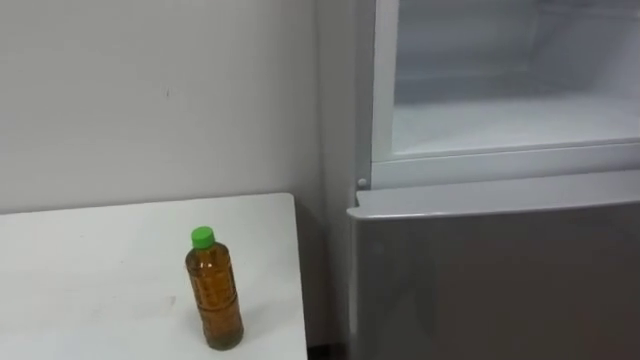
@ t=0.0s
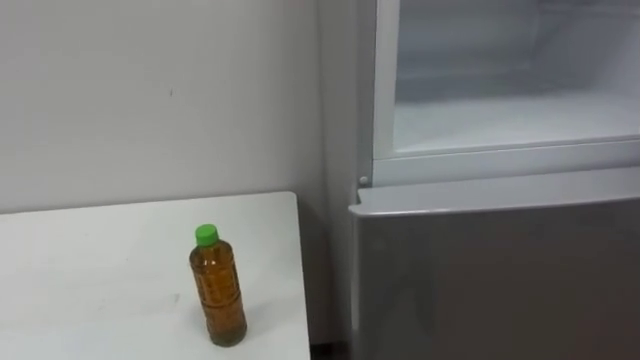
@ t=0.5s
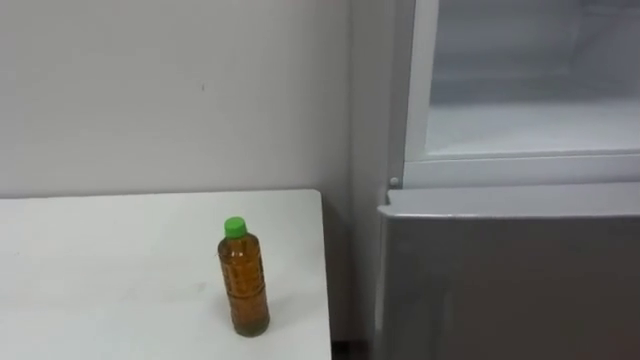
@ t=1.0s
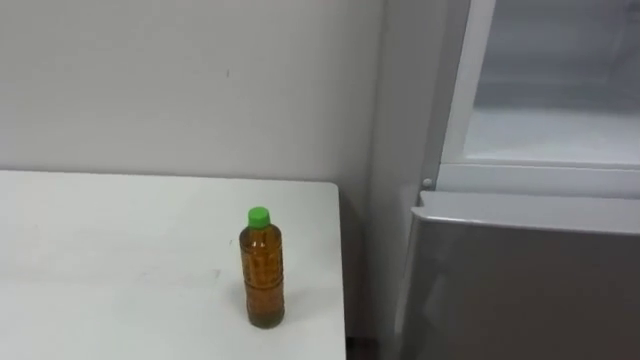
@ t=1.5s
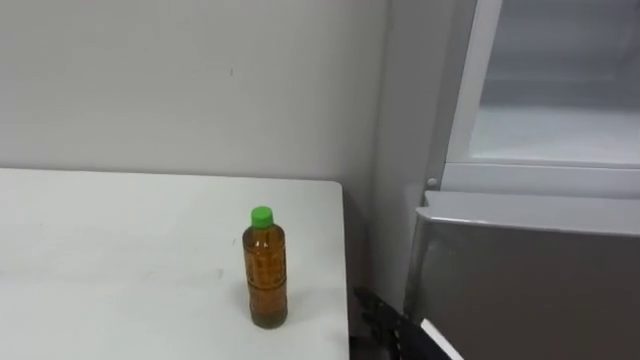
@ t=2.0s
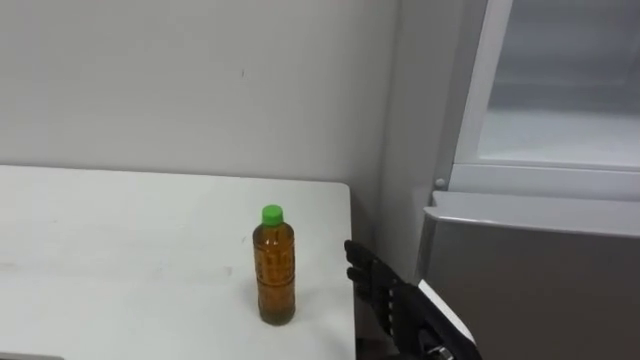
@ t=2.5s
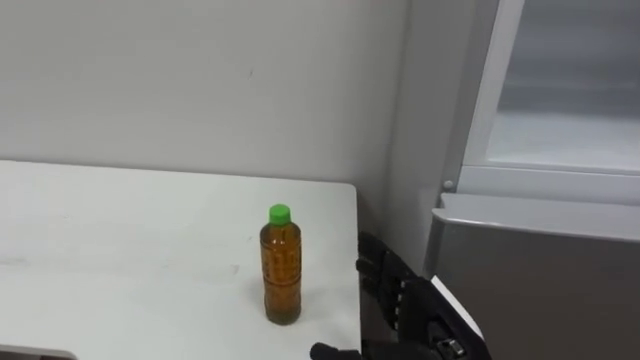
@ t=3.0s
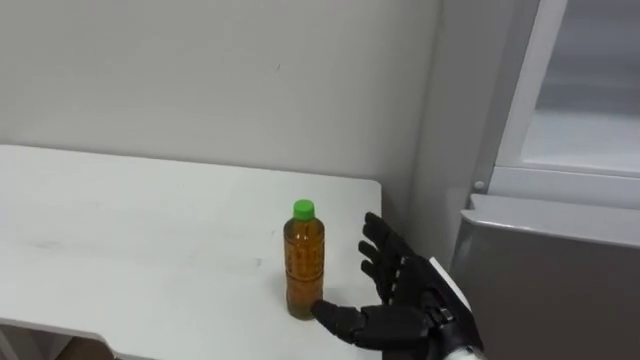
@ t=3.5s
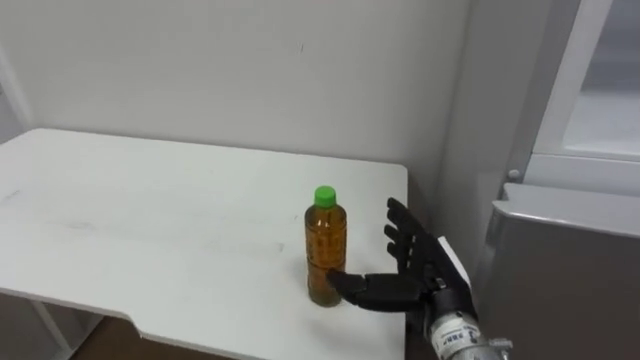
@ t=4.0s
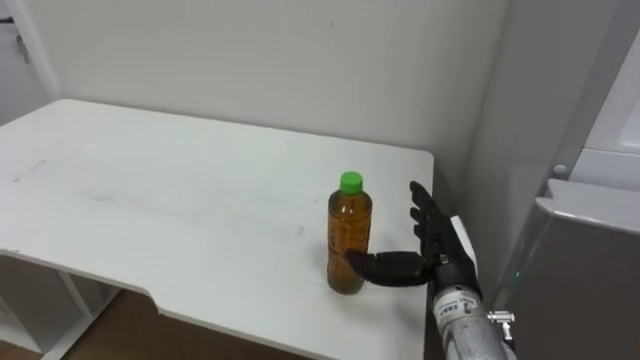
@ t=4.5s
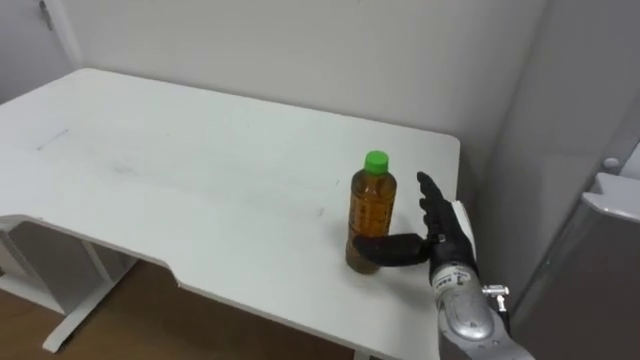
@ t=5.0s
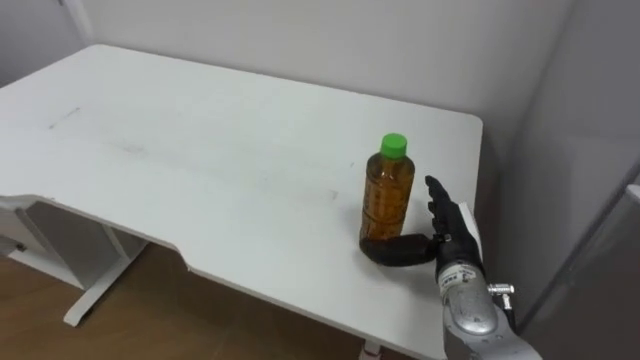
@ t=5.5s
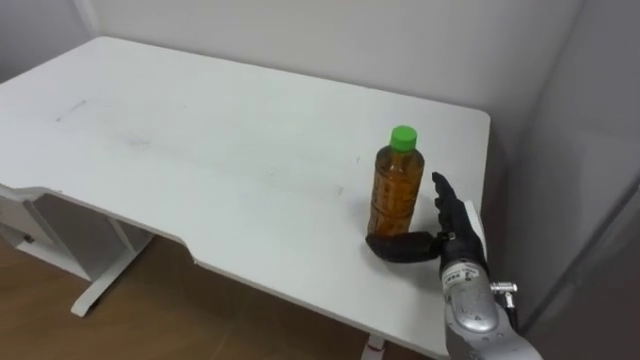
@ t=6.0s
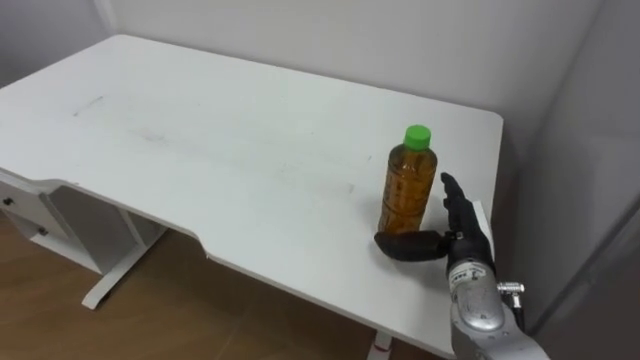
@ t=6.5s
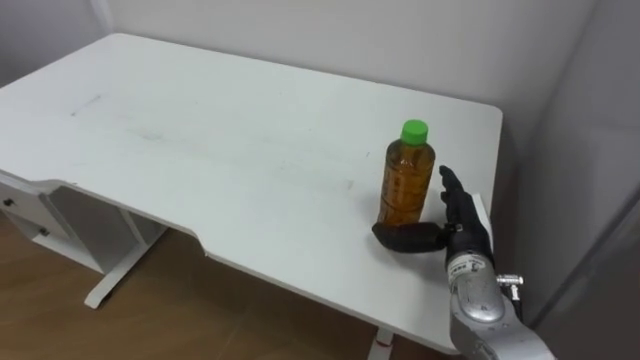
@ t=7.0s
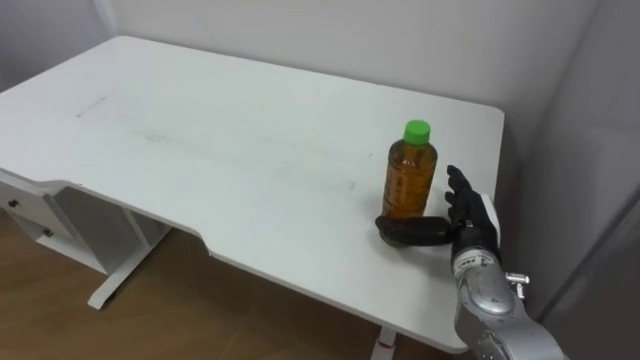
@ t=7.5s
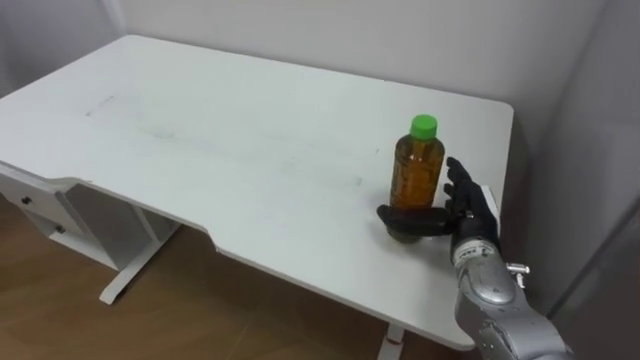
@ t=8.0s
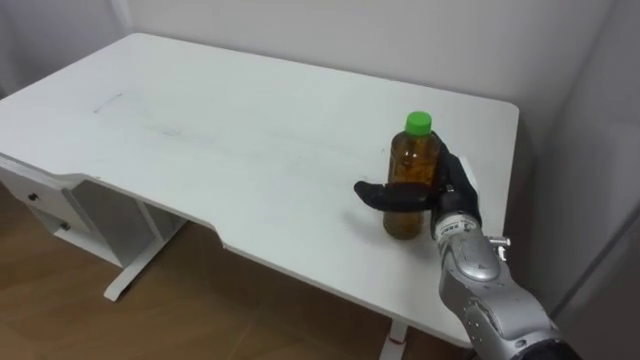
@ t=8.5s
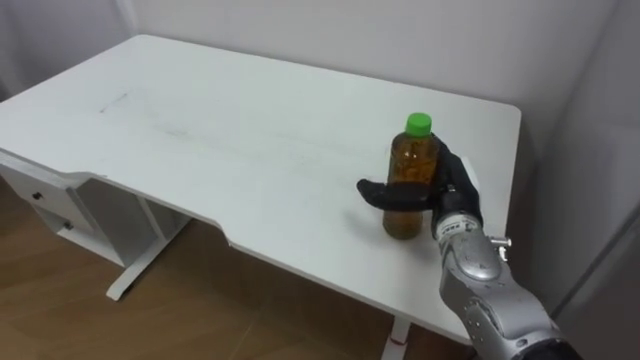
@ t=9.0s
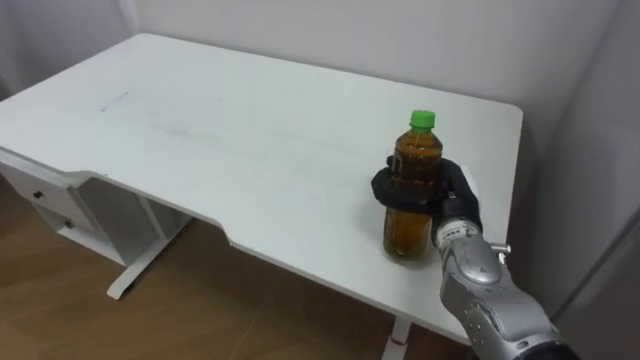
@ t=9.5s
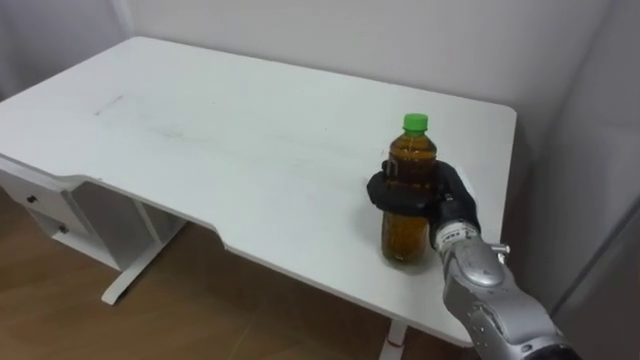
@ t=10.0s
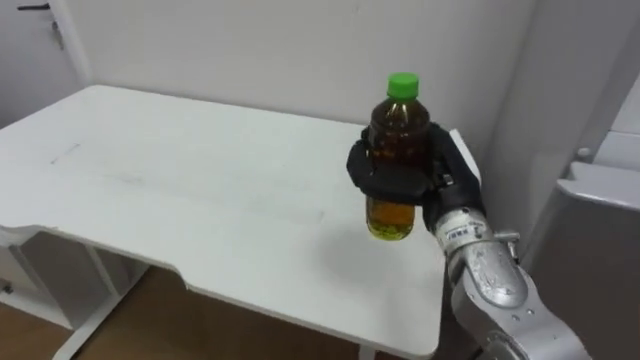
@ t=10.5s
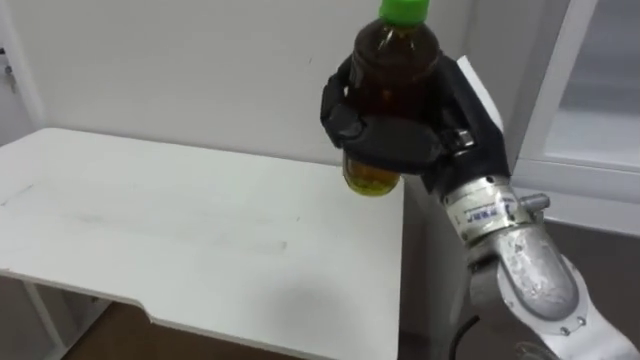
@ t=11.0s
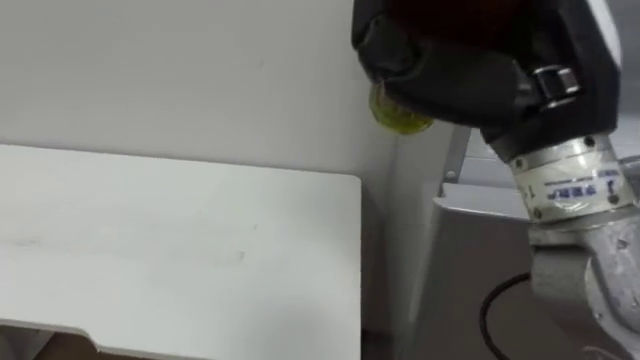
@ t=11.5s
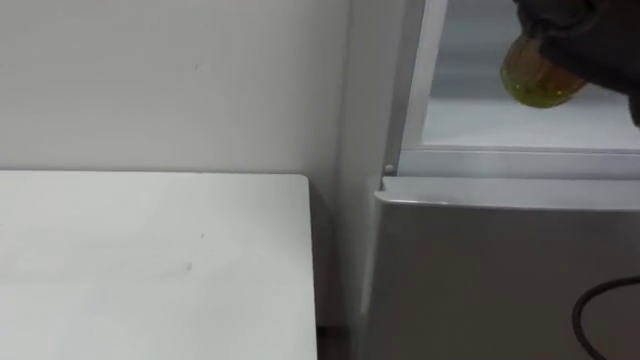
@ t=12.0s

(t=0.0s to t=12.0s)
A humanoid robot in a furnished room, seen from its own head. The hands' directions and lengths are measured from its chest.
Task of the whole recording: Open the upper refrigerator door, put the drink from the table into the refrigerator, and then close the refrigerator door.
t=4.0s - t=6.0s: The right hand shifts roughly 5 cm forward.
t=8.0s - t=10.0s: The right hand closes its fingers.

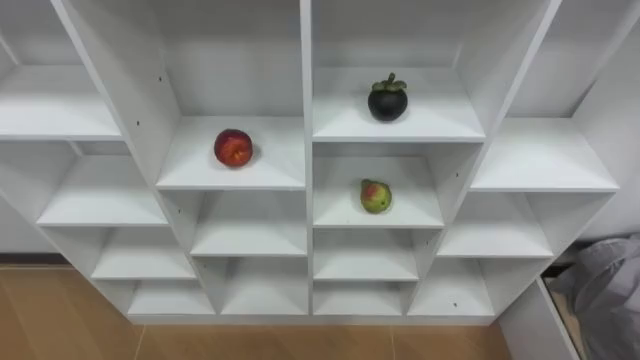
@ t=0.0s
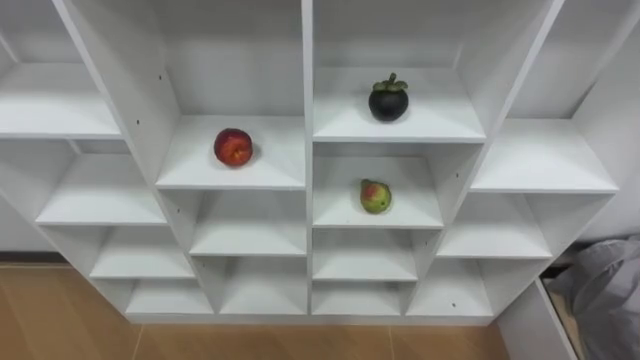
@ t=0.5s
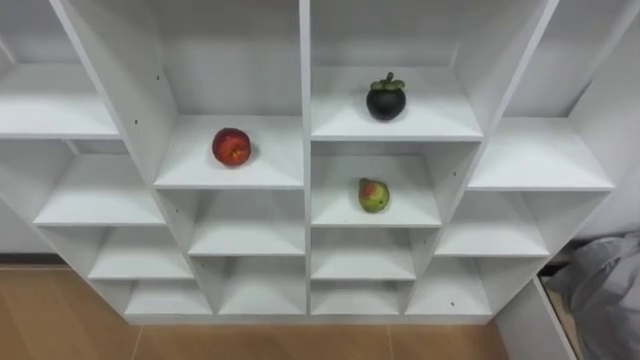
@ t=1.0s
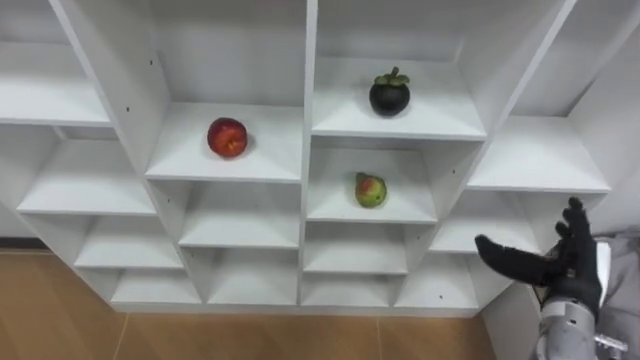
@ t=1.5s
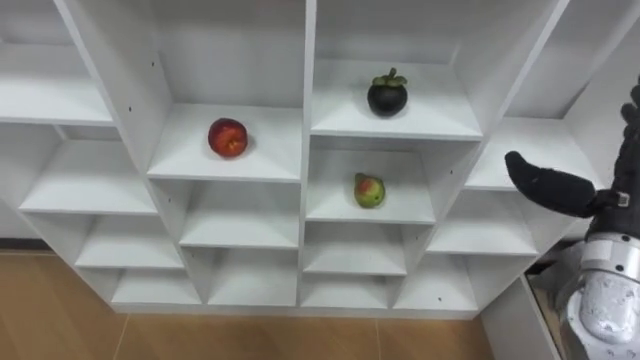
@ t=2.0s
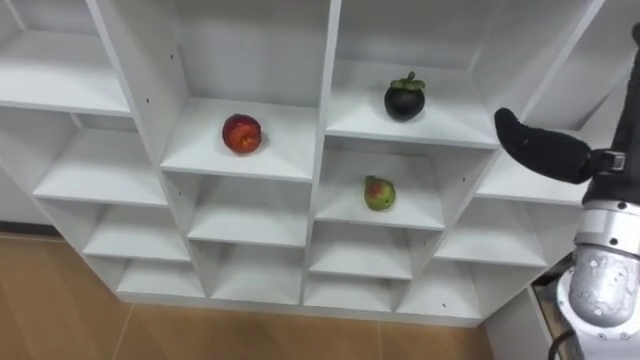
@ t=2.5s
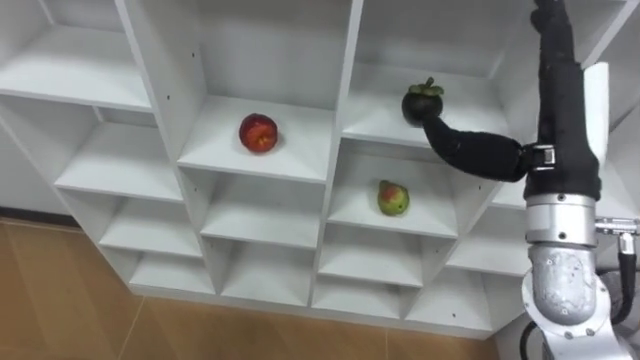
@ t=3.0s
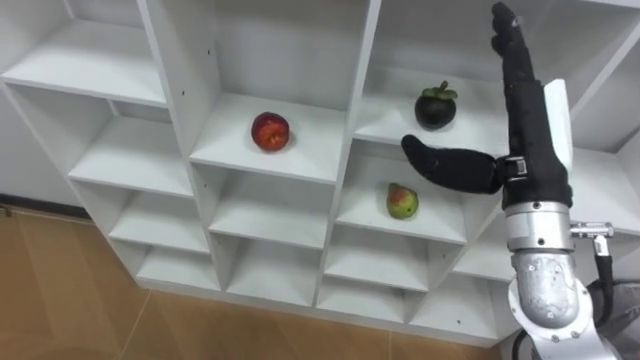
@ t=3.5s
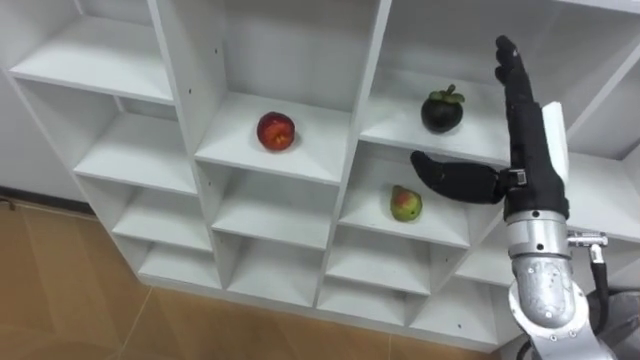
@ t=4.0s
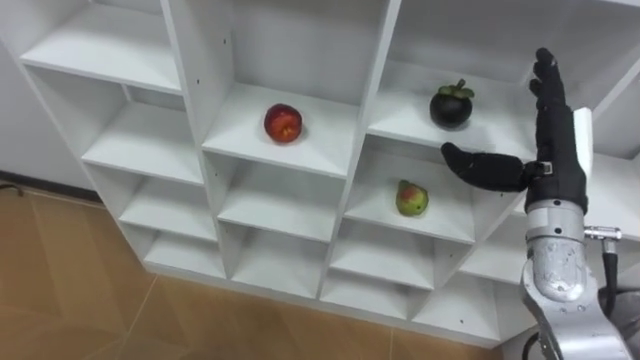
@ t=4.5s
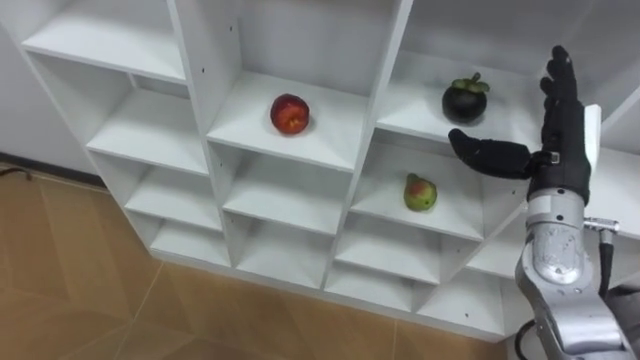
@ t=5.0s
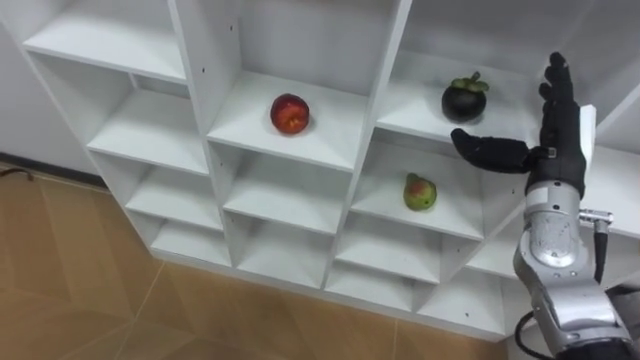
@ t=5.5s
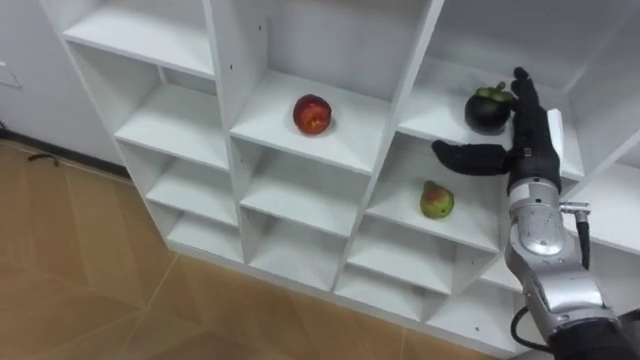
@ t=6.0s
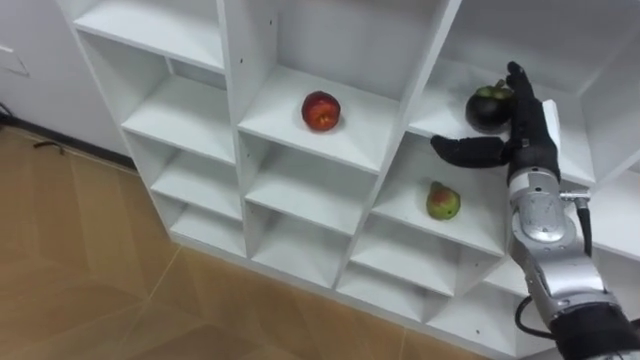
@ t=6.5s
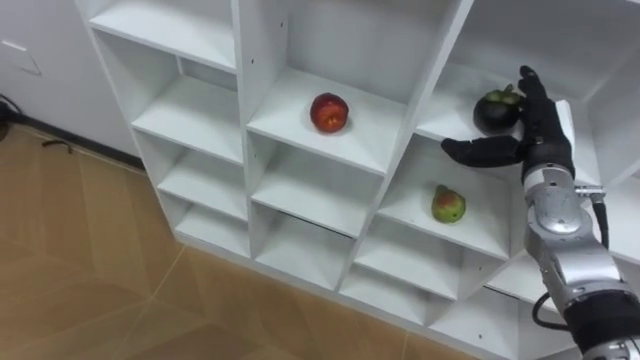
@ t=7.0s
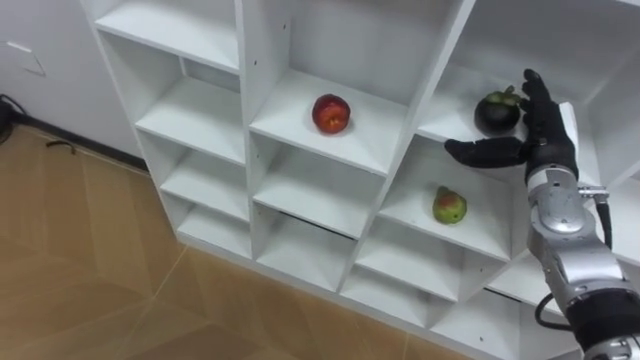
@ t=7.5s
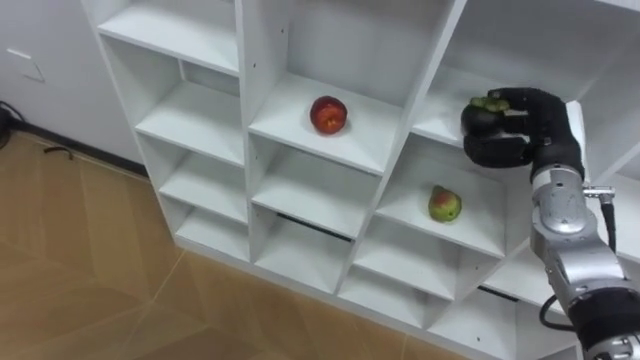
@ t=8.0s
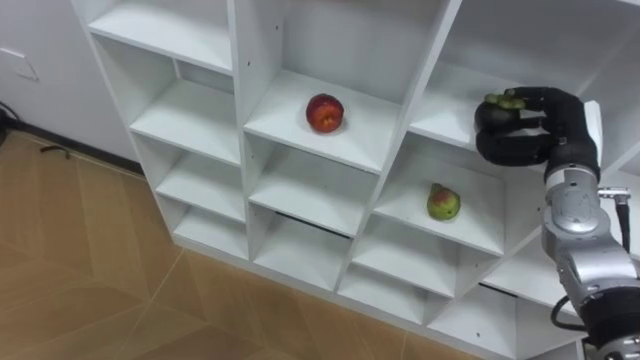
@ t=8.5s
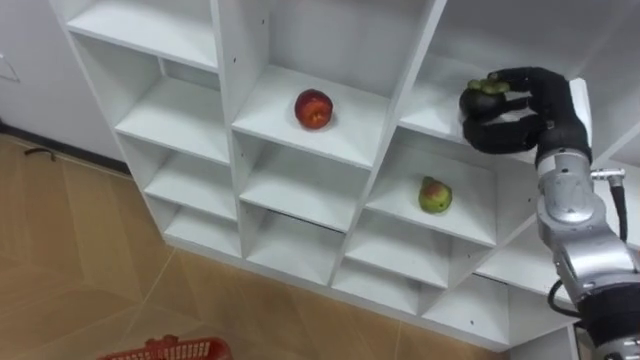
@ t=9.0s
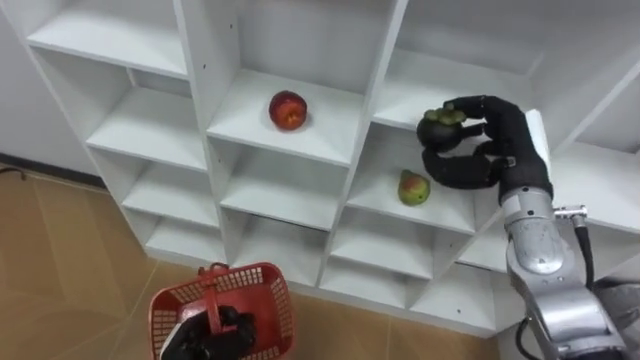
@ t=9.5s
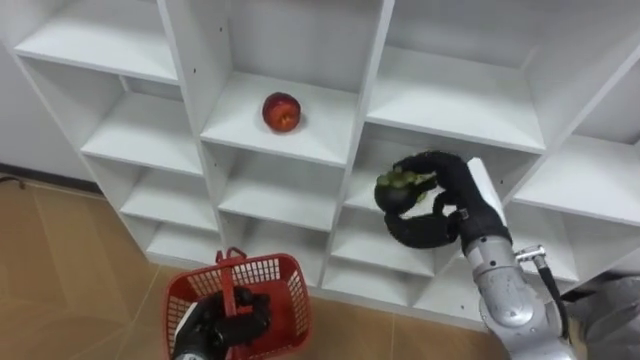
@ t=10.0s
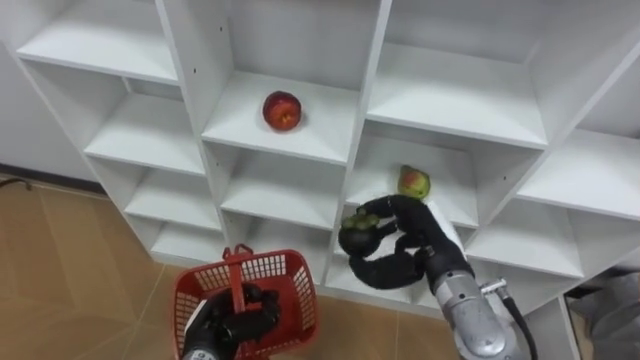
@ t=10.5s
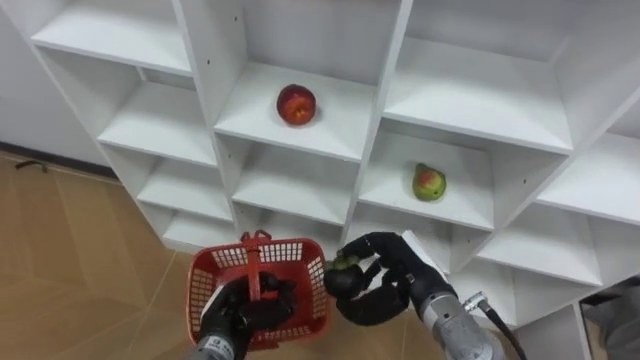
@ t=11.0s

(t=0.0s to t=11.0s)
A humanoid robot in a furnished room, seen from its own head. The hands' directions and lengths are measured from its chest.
Task of the whole recording: Hold the basket and collect the fruits from 3 different cells of the closet into it.
t=2.0s - t=3.5s: The right hand is displaced to the left and upward by some 10 cm.
t=3.5s - t=5.5s: The right hand moves downward, to the right and forward, roughly 10 cm.
t=7.5s - t=9.0s: The right hand closes its fingers.
t=9.0s - t=11.0s: The right hand heads to the left, downward and backward, covering approximately 25 cm.
